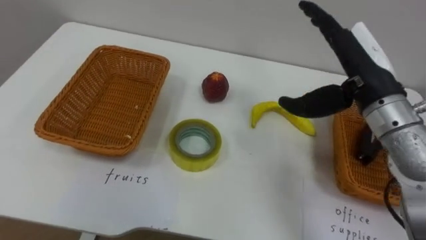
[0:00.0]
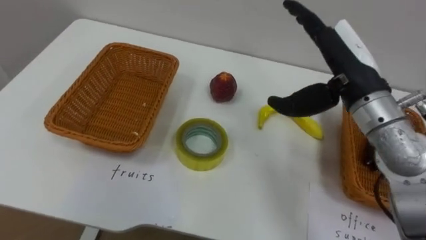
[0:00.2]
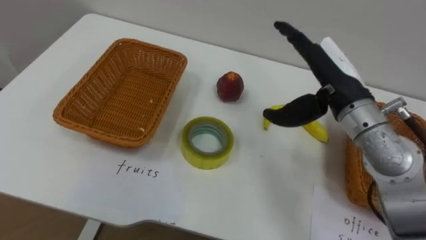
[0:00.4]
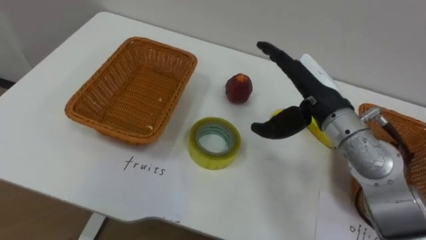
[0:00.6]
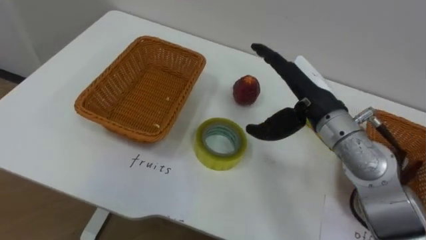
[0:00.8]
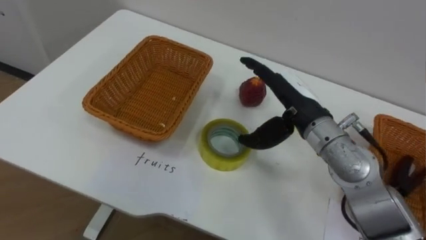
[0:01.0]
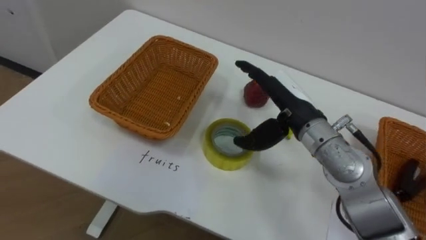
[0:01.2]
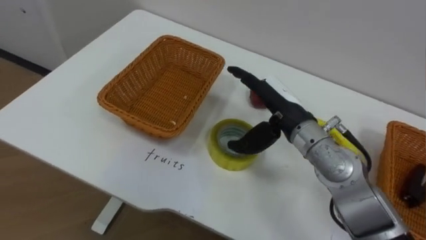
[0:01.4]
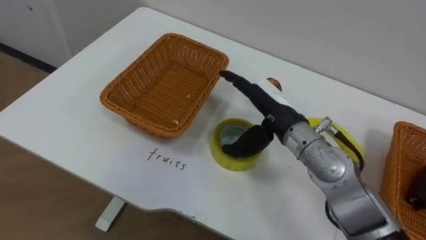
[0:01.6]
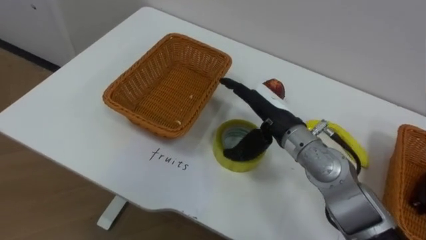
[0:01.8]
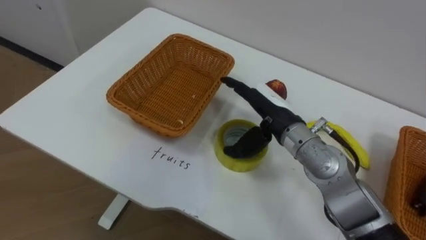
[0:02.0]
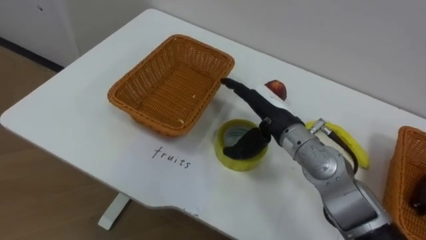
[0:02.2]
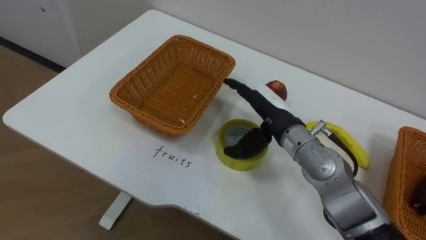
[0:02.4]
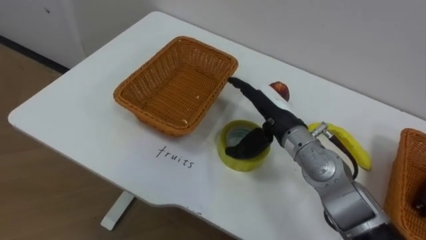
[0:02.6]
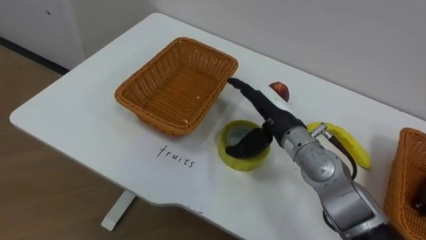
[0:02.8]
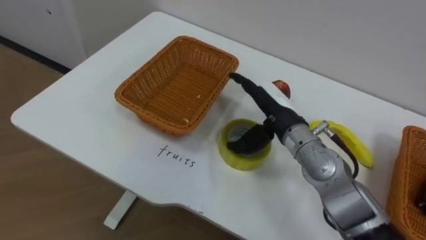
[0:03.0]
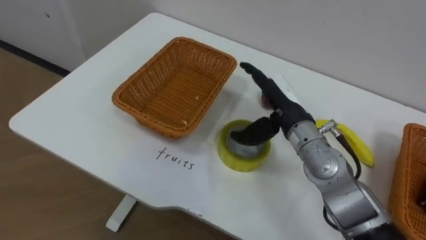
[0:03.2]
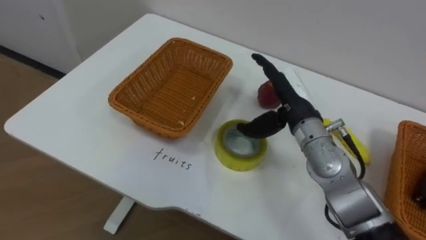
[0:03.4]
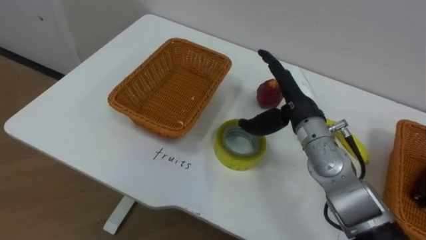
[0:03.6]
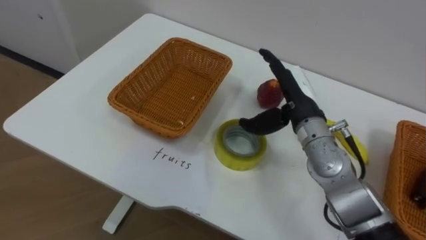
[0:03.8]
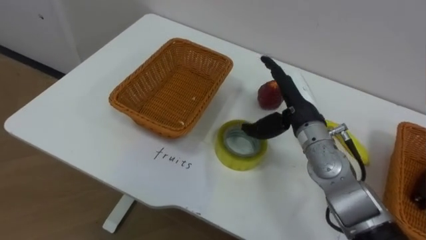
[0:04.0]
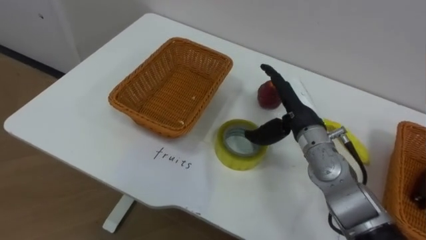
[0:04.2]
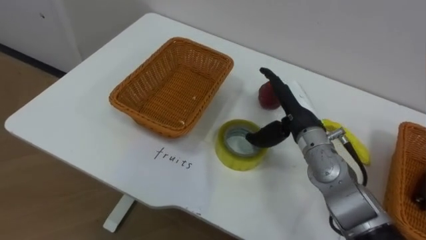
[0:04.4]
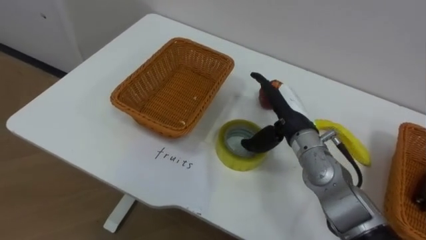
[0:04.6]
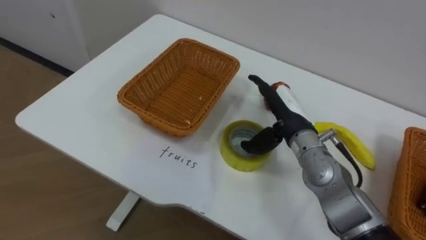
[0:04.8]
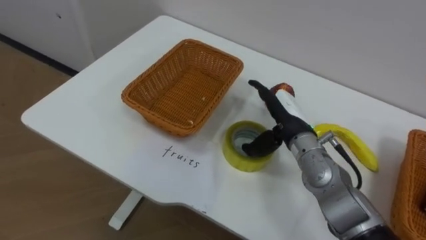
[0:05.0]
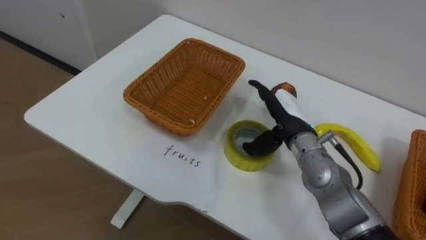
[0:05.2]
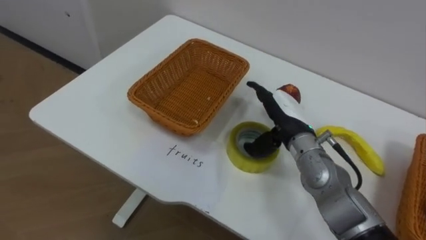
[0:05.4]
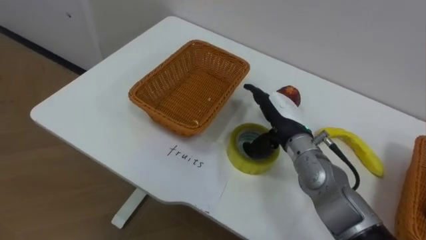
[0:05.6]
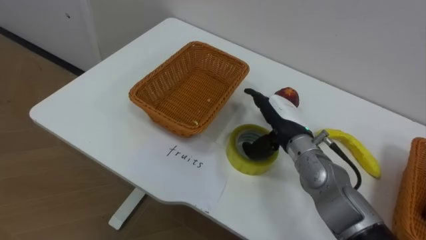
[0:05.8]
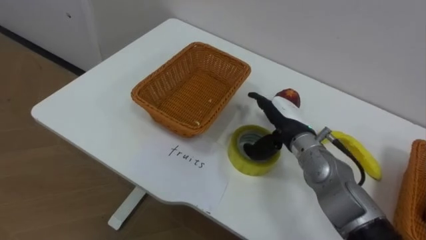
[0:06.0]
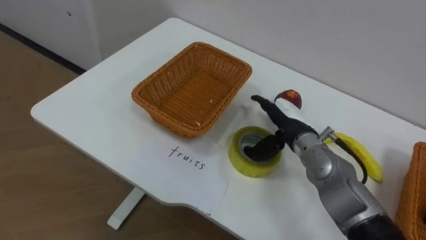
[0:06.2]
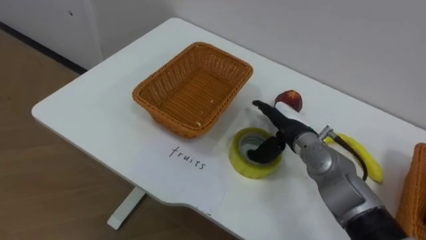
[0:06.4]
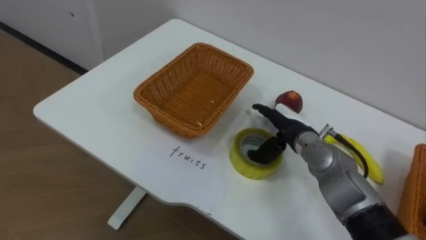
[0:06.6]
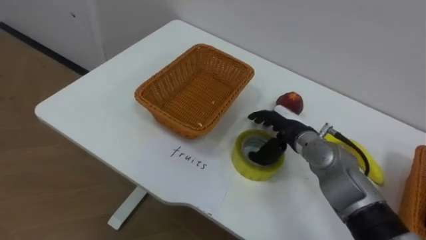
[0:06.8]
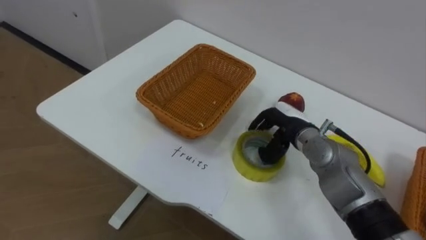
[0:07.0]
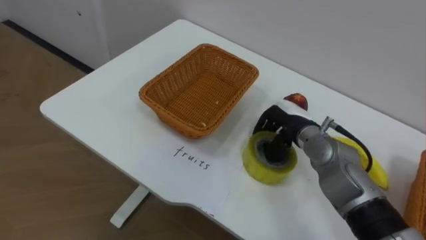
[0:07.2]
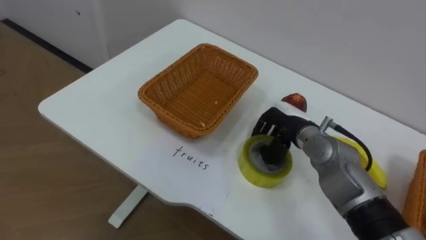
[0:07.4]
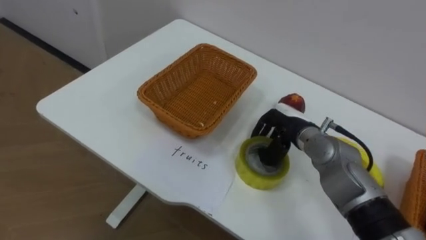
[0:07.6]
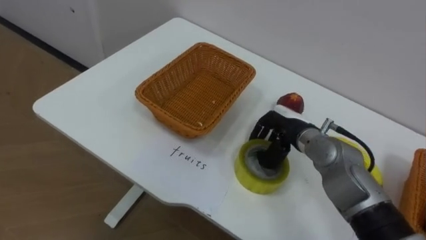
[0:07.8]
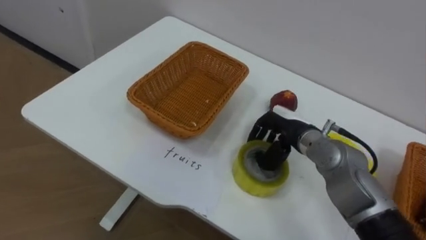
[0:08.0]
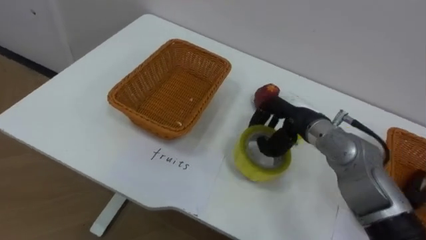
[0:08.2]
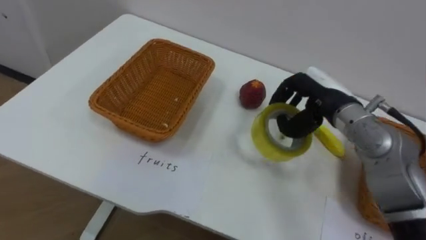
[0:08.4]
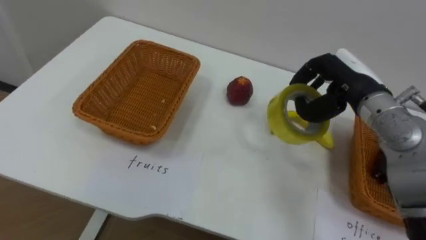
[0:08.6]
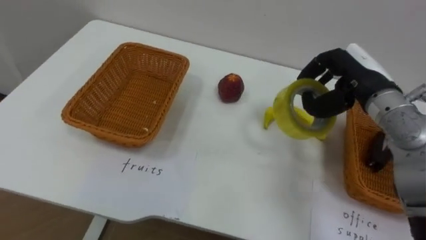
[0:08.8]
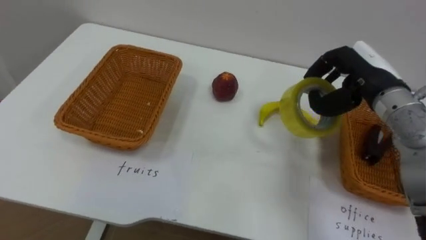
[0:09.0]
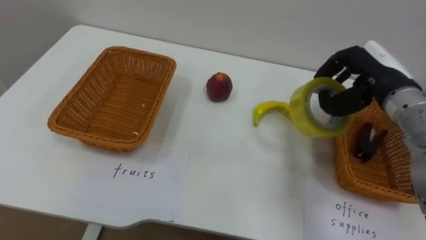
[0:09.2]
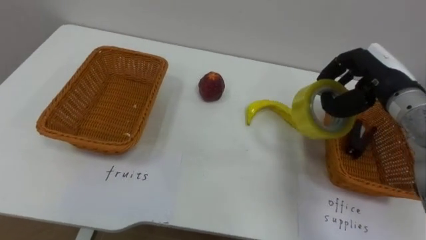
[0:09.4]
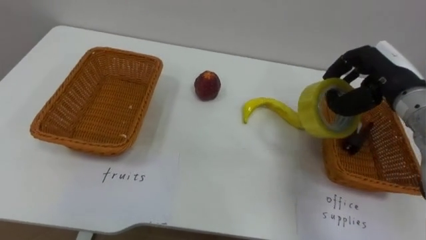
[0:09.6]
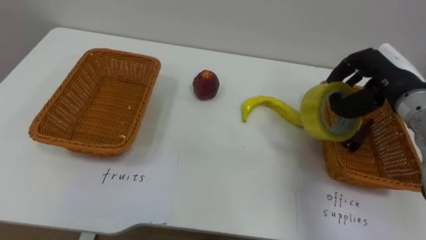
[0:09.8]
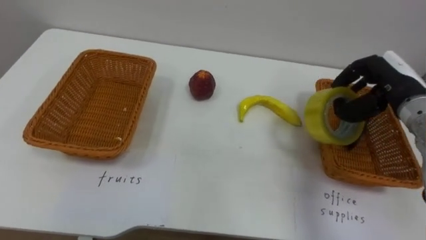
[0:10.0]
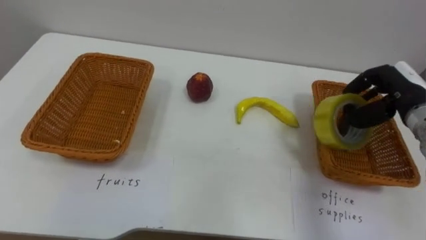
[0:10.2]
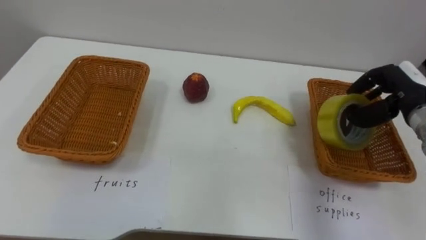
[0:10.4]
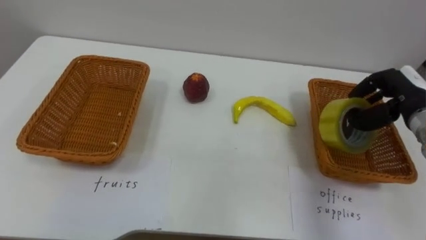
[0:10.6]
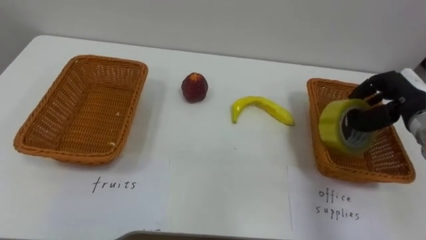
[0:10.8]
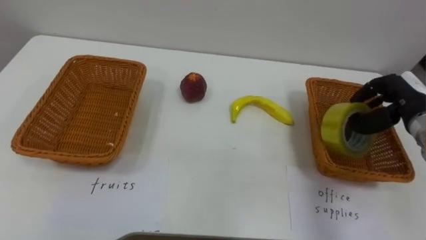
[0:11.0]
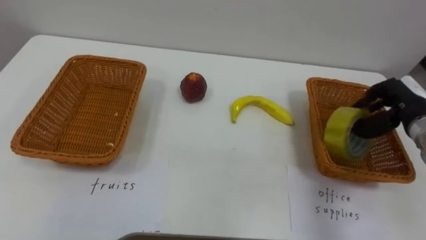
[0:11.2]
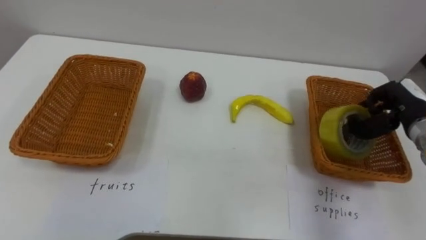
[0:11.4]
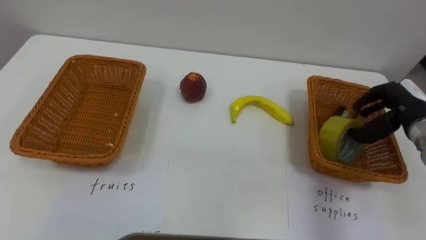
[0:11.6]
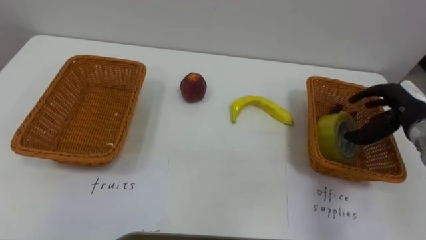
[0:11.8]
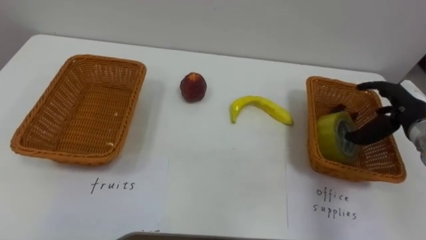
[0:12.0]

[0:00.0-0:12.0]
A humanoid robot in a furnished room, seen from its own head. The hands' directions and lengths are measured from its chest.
Task of the whole recording: Separate the items on the table and place them into the two baskets.
0:00.0 to 0:01.6: The right hand moves to the left and downward, about 15 cm.
0:06.0 to 0:07.6: The right hand closes up.
0:07.6 to 0:09.0: The right hand shifts approximately 15 cm upward and to the right.
0:09.0 to 0:10.4: The right hand shifts roughly 10 cm to the right.
0:10.4 to 0:12.0: The right hand opens.

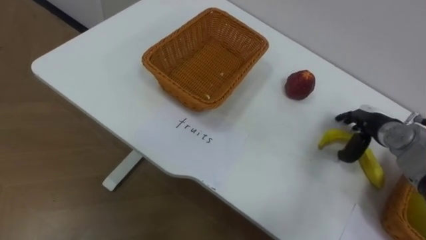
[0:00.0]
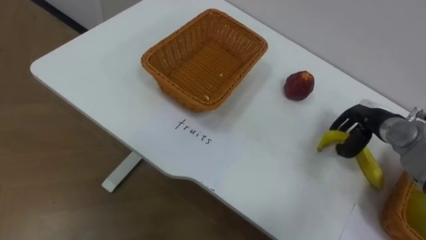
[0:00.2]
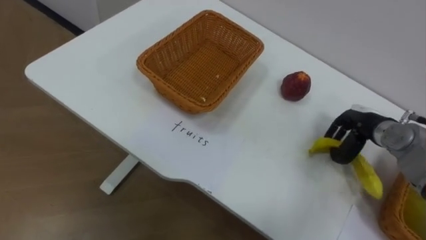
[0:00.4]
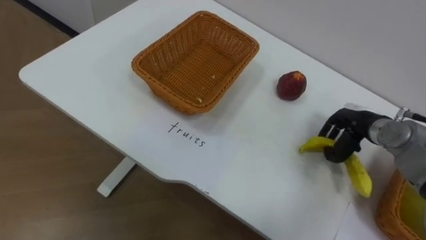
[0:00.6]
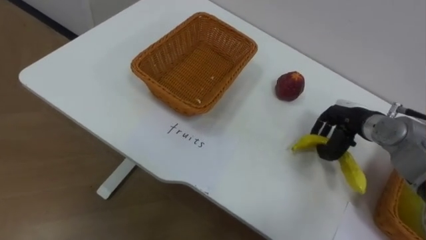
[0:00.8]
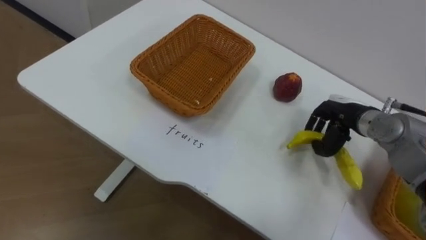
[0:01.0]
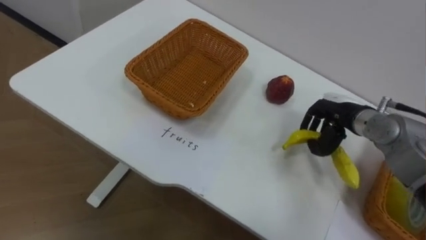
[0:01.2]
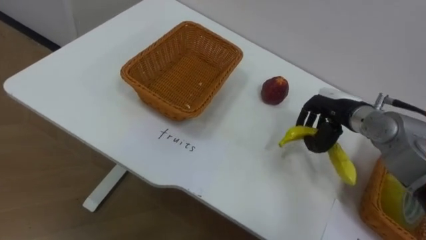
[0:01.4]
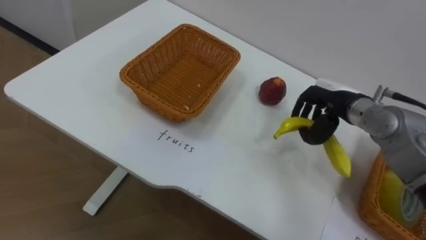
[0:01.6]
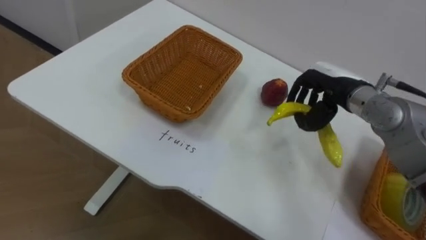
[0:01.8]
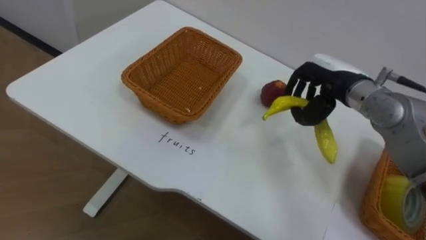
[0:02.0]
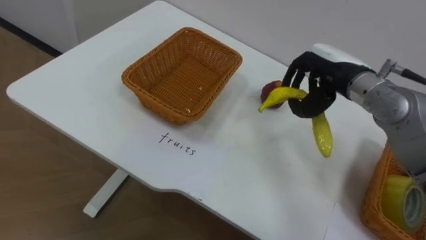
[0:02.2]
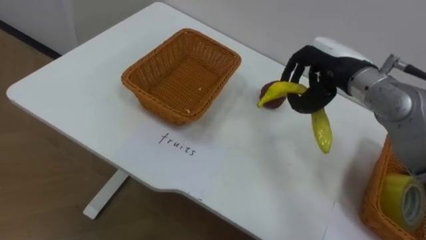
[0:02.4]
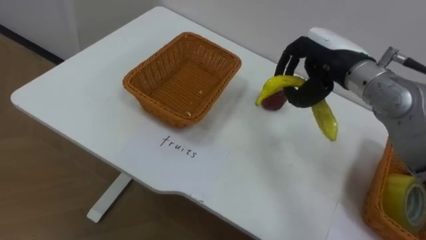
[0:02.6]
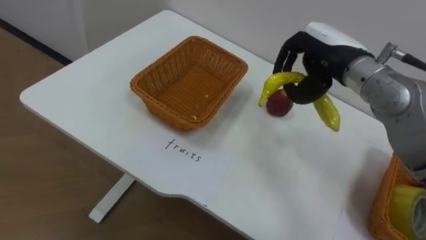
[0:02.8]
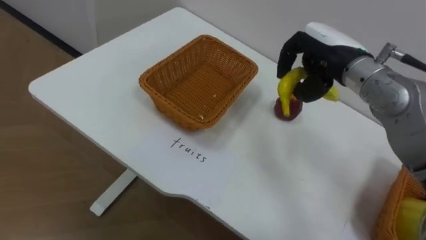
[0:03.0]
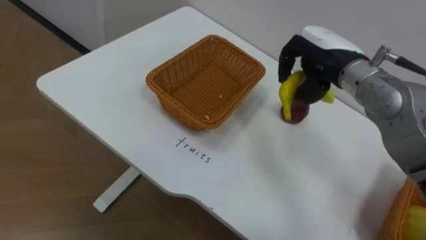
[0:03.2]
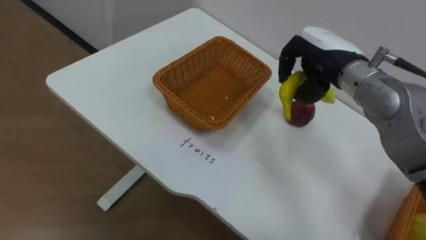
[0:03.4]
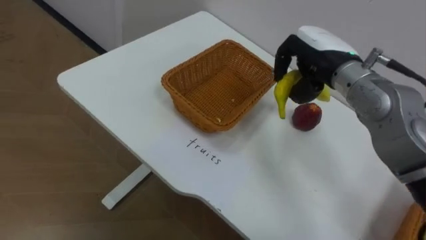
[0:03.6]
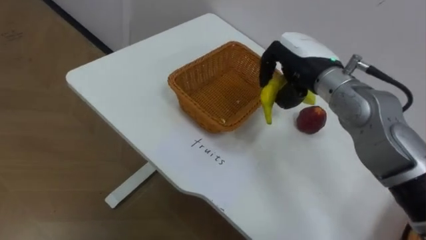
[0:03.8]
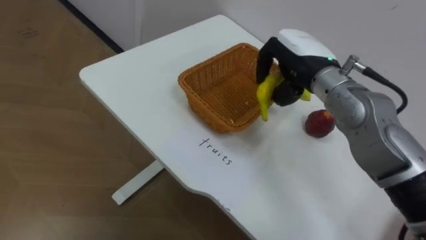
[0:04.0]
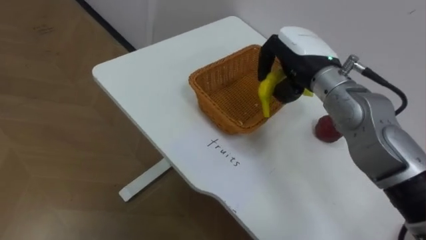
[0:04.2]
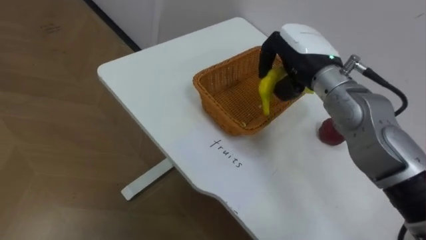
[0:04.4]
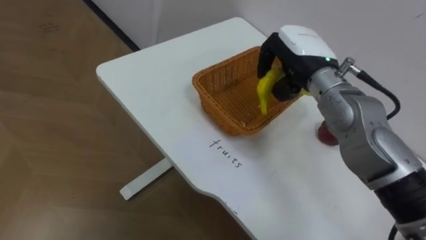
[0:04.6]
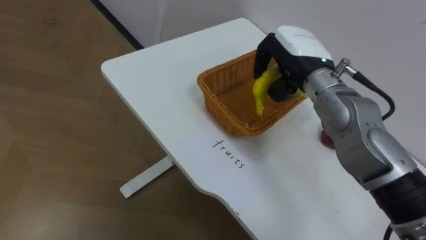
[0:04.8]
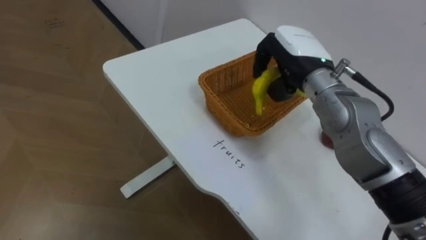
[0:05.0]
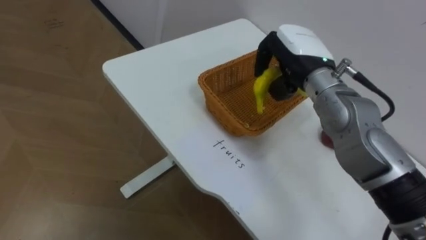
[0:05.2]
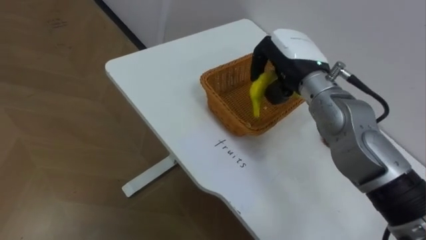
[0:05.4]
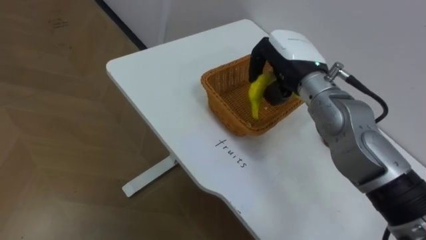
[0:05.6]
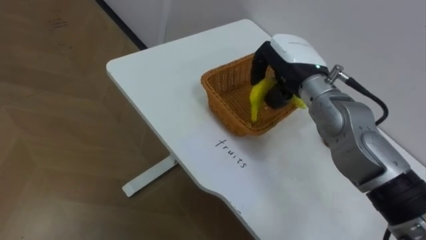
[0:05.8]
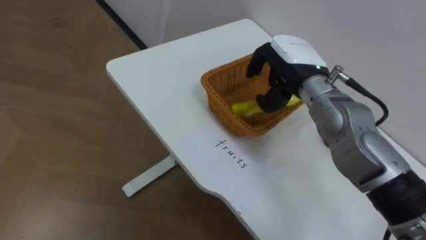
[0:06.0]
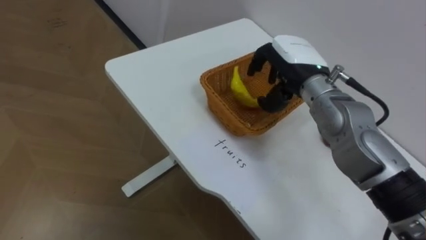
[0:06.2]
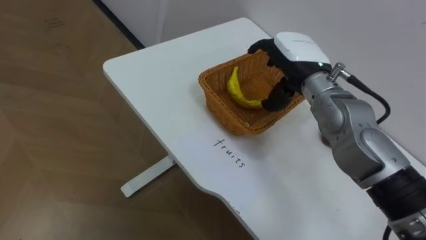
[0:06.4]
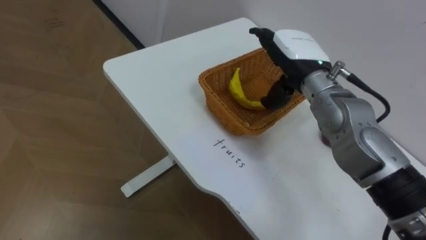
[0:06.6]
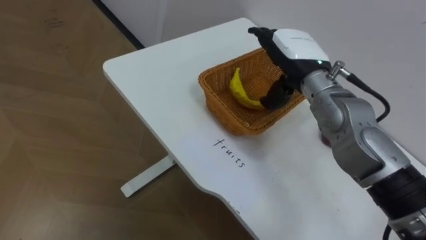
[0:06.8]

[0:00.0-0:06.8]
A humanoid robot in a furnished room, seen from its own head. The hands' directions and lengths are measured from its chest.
Task of the whole recording: Separate the items on the table and place them into the two baskets.
0:00.0 to 0:01.4: The right hand travels to the left by approximately 10 cm, and closes its fingers.
0:01.4 to 0:02.8: The right hand moves upward and to the left, approximately 15 cm.
0:05.4 to 0:06.8: The right hand opens its fingers.
